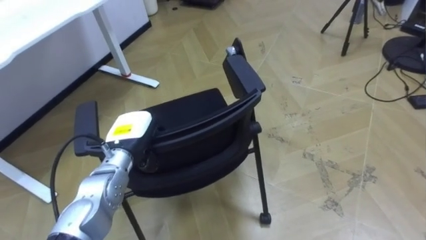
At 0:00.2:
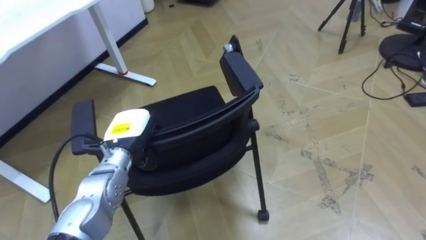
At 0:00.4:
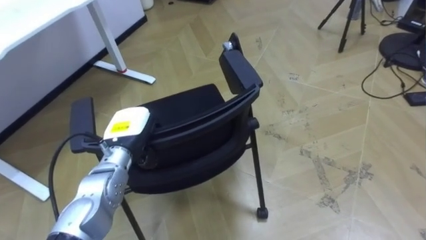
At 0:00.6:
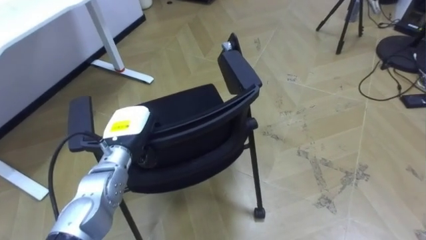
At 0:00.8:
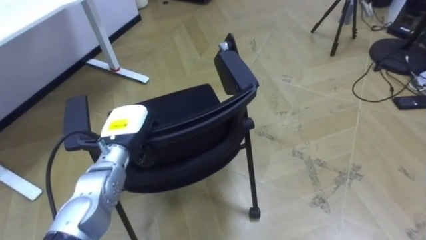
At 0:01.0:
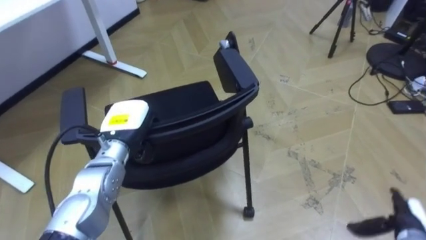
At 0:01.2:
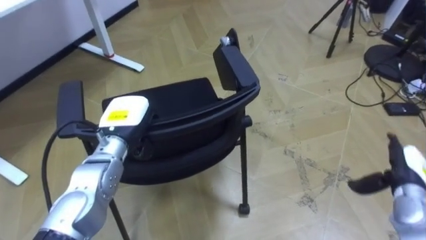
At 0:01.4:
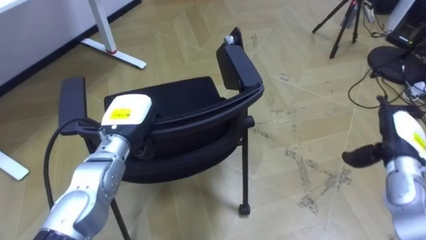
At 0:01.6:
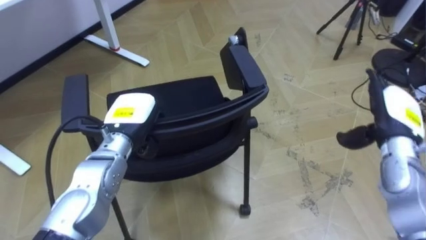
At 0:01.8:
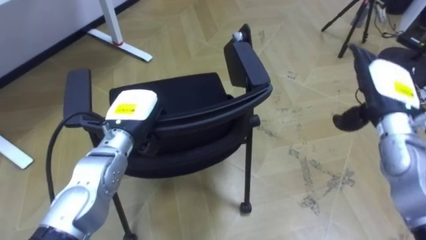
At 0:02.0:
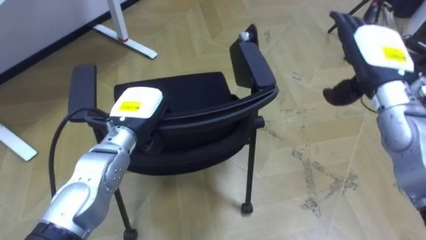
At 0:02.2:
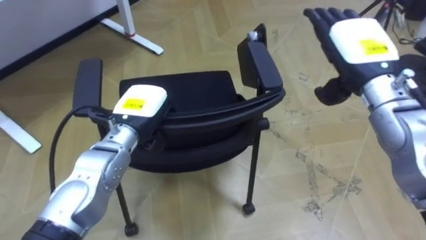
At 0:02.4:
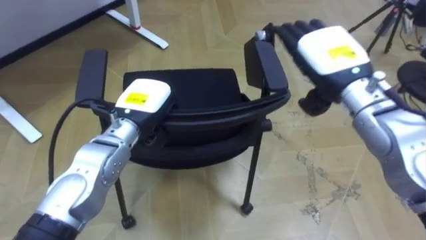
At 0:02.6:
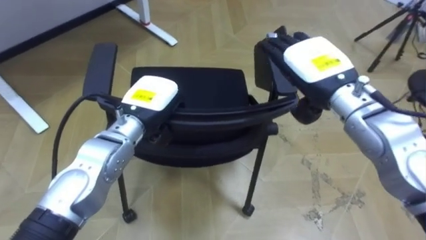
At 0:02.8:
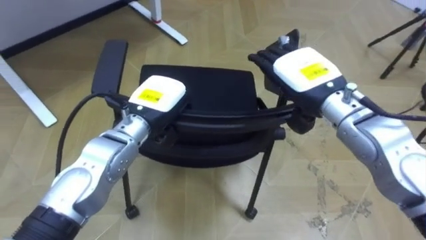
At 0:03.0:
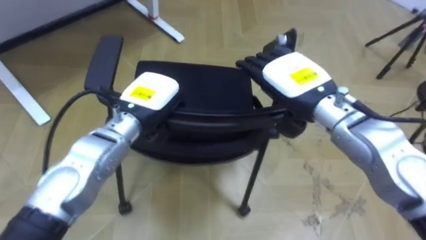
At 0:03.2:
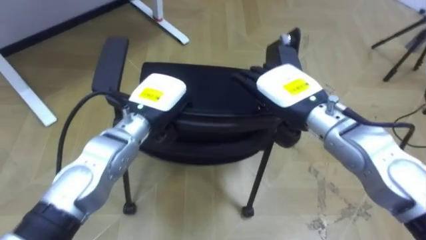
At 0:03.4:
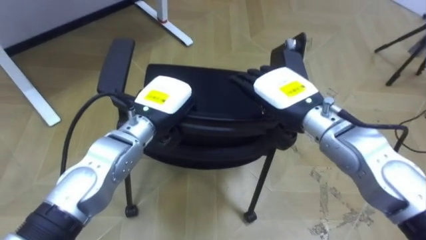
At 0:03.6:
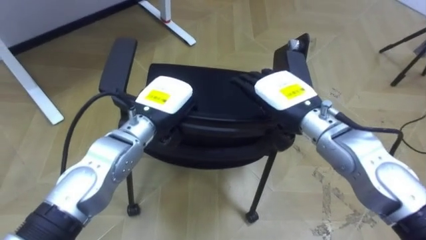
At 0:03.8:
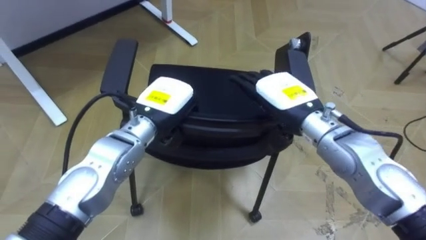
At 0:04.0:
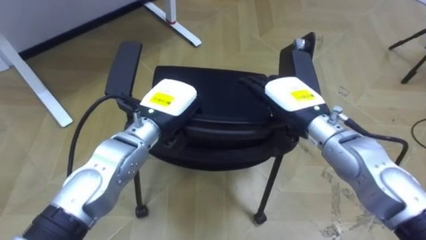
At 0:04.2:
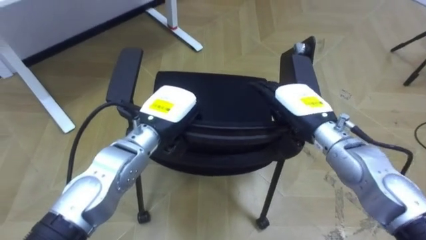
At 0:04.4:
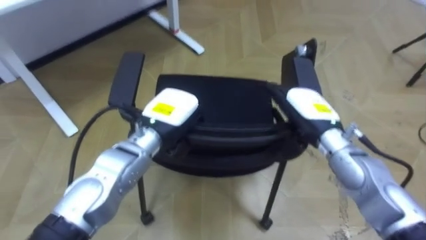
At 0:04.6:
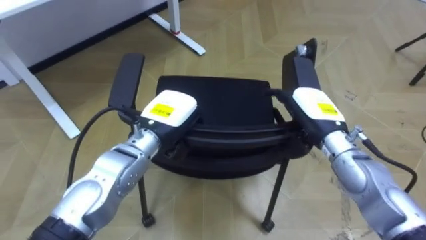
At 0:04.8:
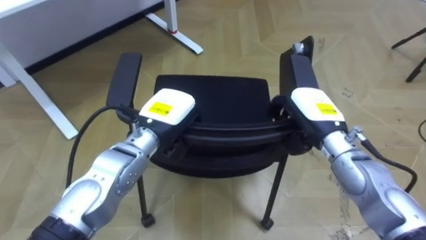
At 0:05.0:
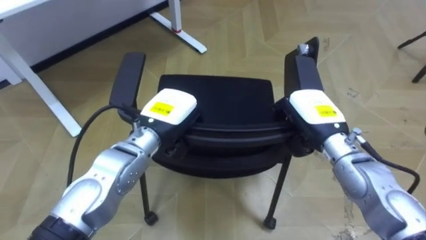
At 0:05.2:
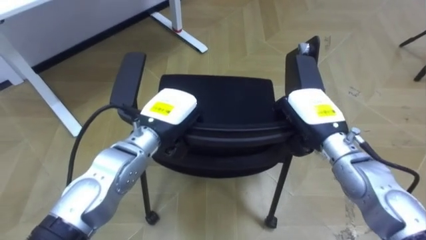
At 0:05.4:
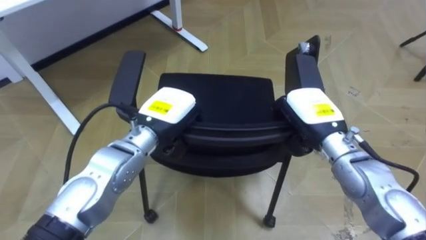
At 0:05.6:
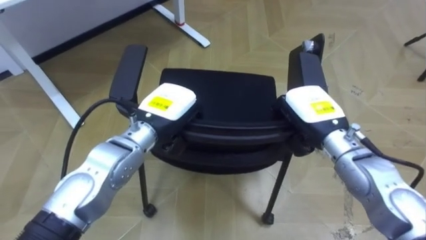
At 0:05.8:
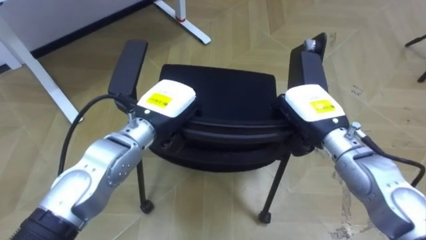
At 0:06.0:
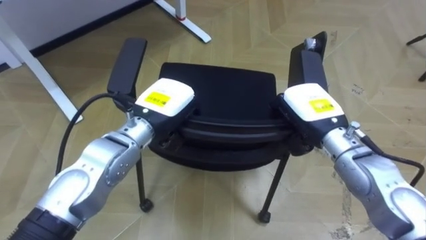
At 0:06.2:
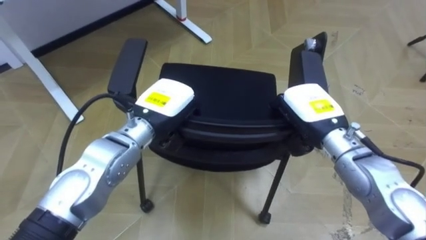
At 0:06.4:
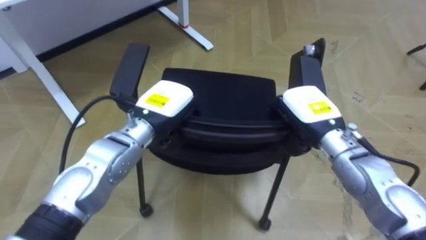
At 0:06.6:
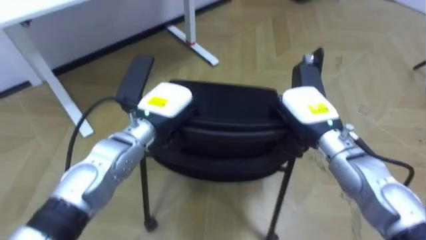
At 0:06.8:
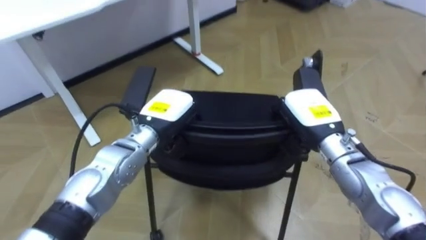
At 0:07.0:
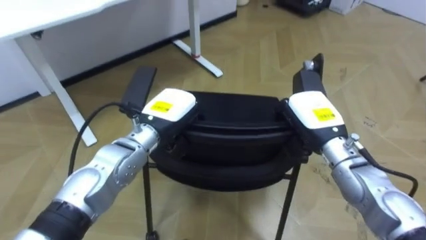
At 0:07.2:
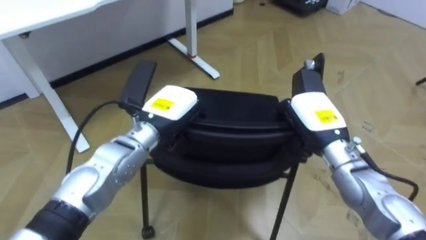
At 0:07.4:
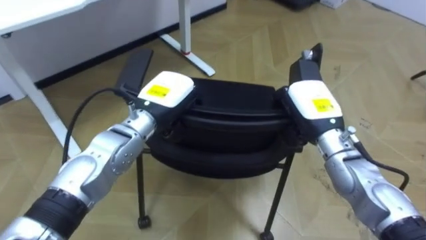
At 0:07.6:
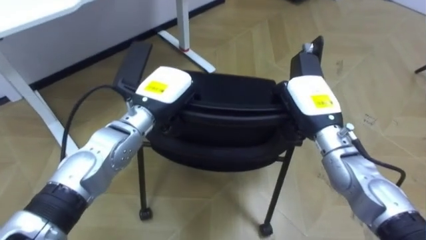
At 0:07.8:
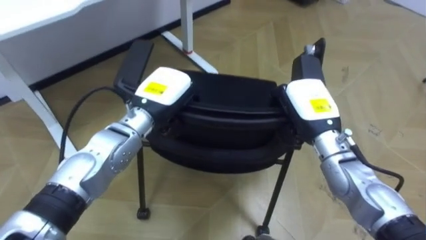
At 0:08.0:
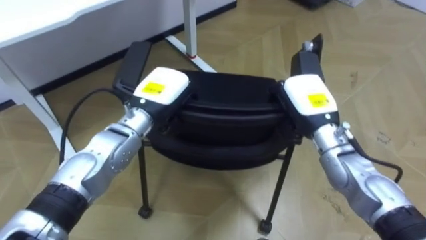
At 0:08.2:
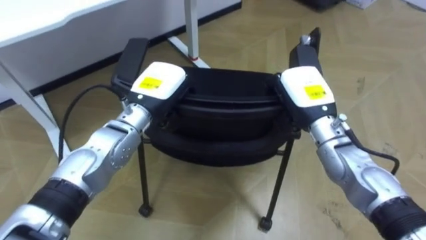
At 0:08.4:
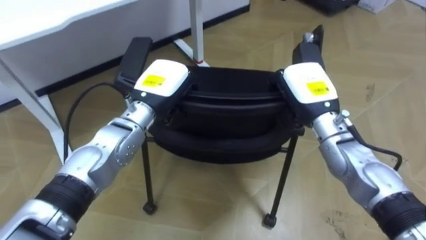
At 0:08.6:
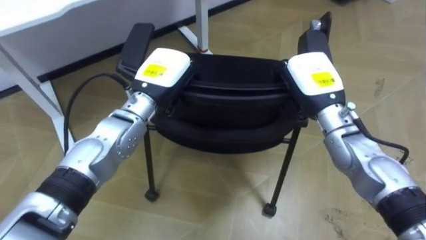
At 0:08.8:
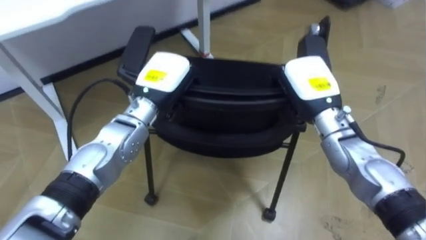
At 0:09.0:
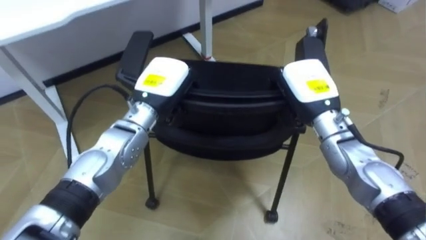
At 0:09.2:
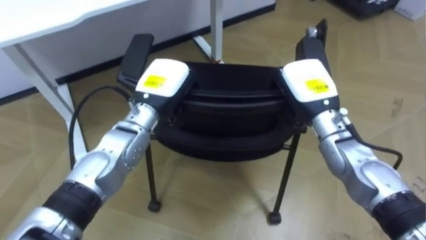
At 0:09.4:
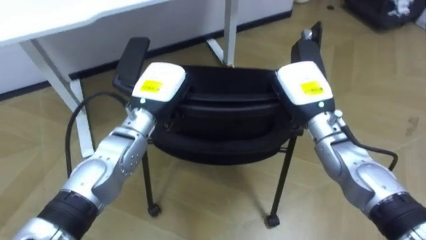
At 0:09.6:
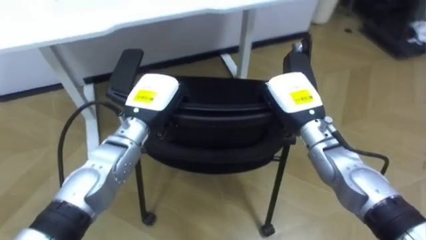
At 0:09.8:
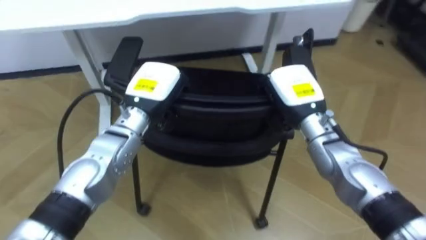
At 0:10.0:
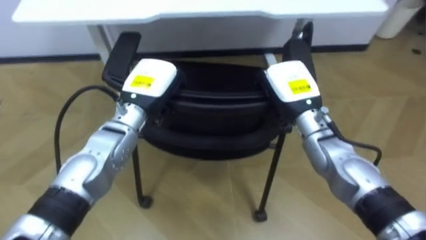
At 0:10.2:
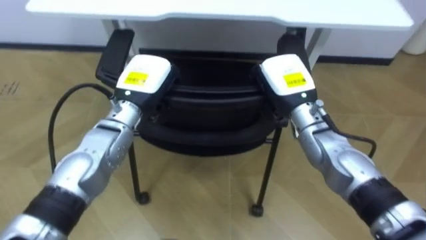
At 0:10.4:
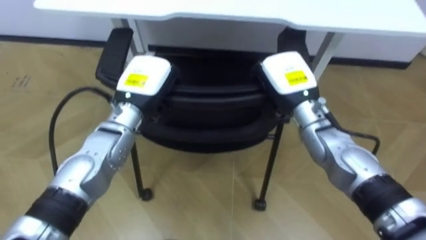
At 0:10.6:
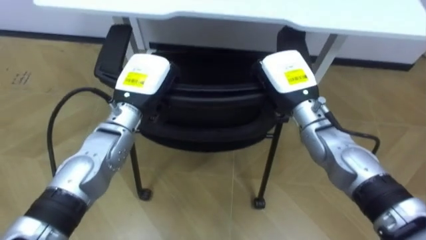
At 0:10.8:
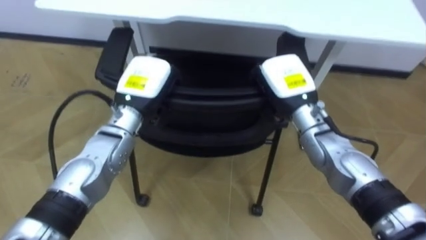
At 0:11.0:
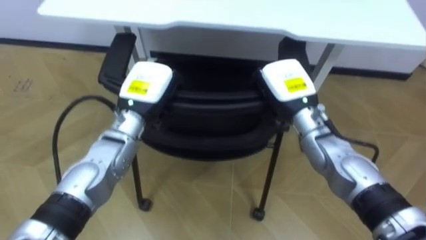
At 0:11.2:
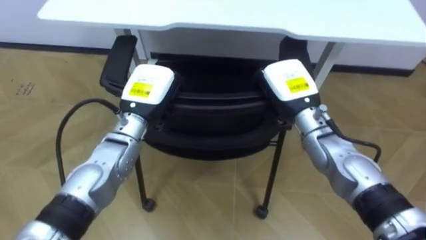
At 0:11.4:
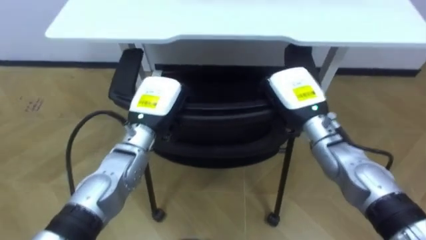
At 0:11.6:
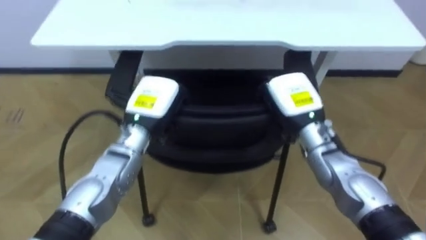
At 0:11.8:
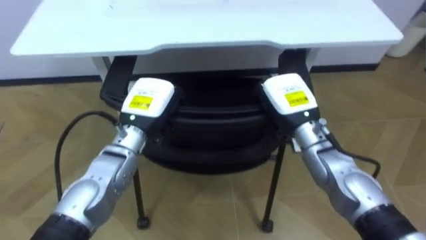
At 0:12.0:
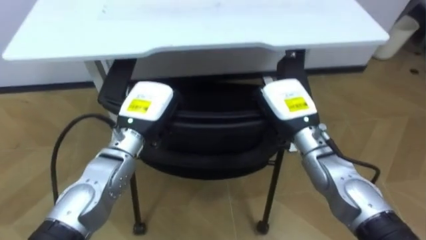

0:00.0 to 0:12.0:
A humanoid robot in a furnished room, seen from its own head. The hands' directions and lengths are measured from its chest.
Task of the whole recording: Push the chair under the table.
0:01.6 to 0:03.0: The right hand moves to the left and upward, approximately 20 cm. The left hand ends up some 5 cm from where it was.
0:03.0 to 0:04.4: The right hand shifts approximately 10 cm downward.
0:04.4 to 0:06.0: The right hand closes its fingers.
0:07.6 to 0:09.0: The robot's body swings some 15 degrees to its left.

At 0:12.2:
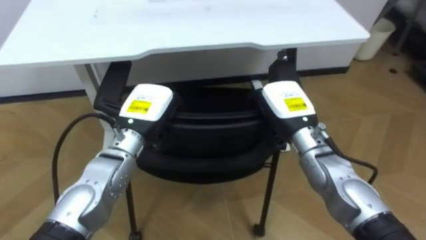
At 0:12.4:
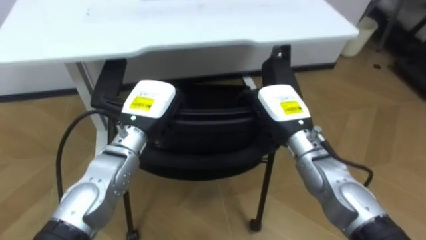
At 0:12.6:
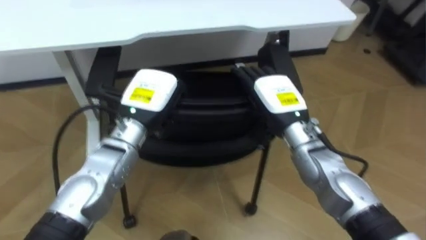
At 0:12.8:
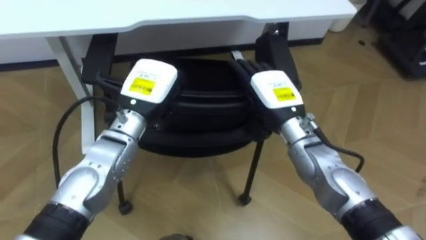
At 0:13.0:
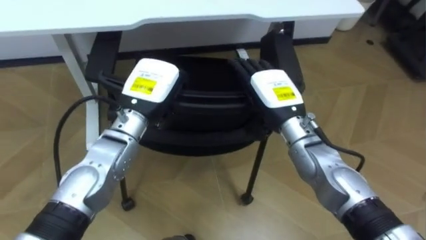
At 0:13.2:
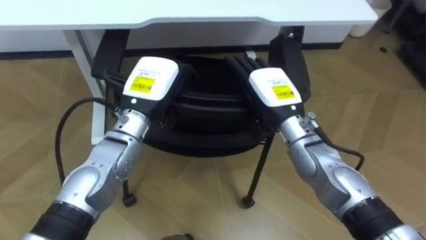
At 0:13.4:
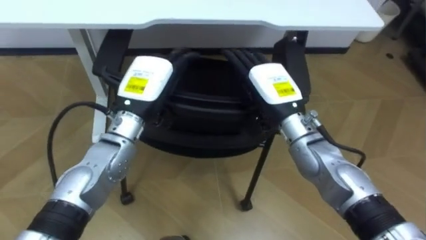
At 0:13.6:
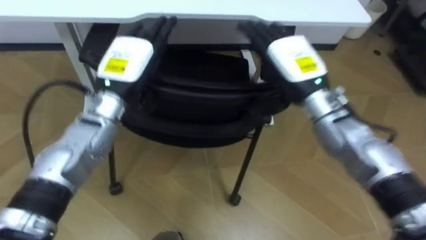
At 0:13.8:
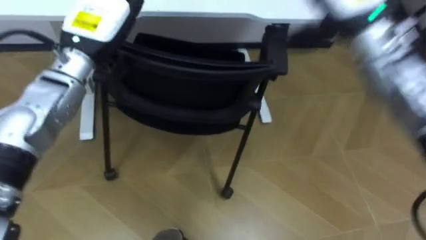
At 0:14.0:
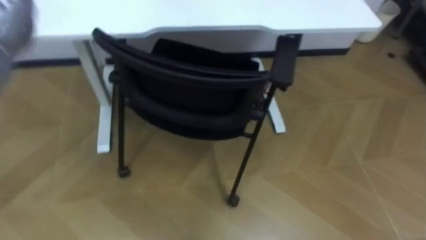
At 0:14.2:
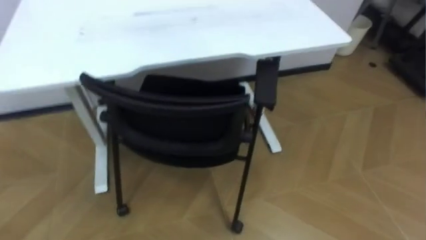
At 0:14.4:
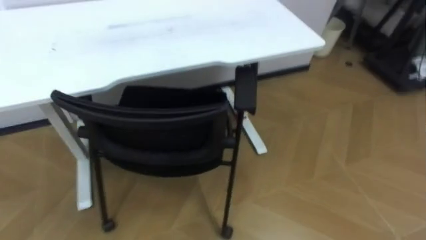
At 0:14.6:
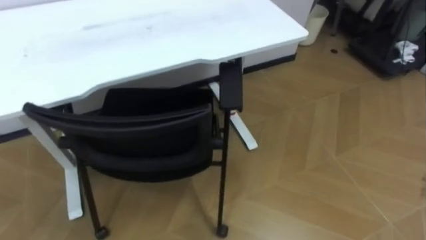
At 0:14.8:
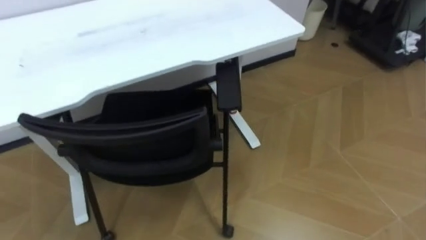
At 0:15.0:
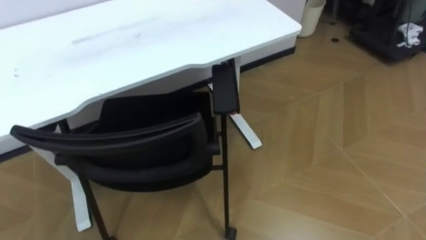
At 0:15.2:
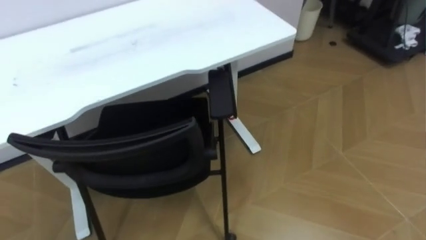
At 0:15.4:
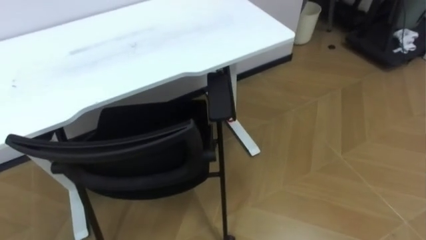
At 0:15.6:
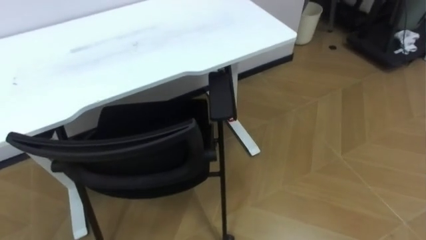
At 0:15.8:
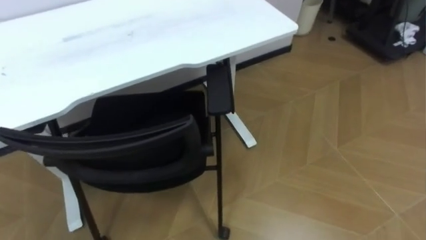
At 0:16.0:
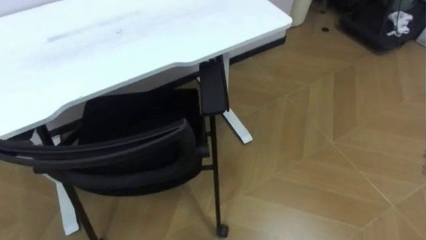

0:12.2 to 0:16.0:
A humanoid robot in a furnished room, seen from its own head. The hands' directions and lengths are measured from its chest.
Task of the whole recording: Push the chair under the table.
0:12.2 to 0:13.4: The left hand opens, while the right hand opens its fingers.
